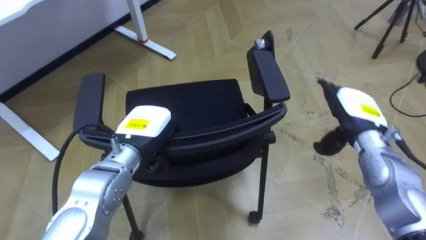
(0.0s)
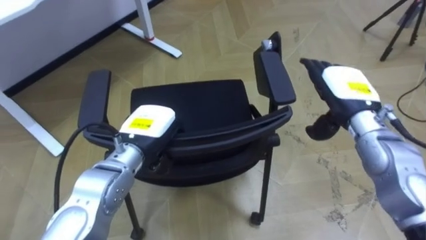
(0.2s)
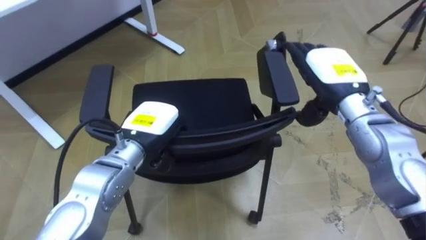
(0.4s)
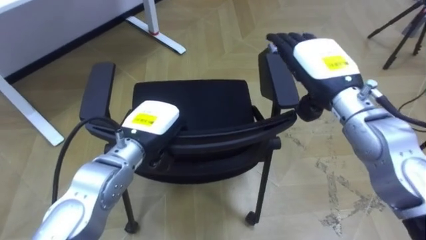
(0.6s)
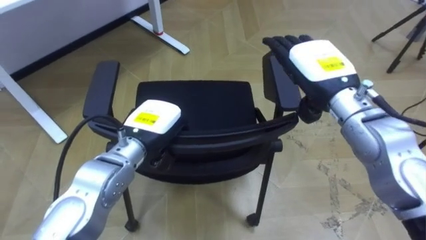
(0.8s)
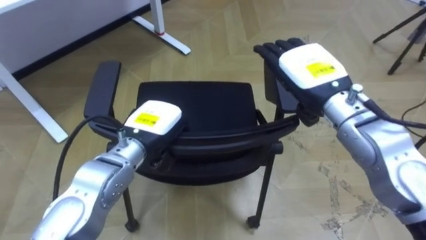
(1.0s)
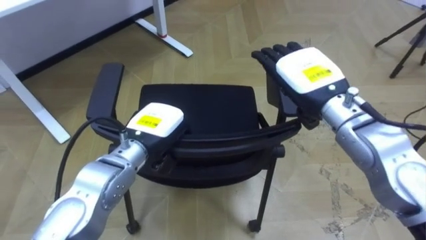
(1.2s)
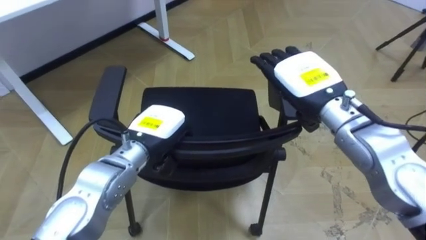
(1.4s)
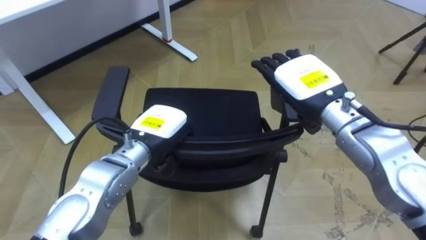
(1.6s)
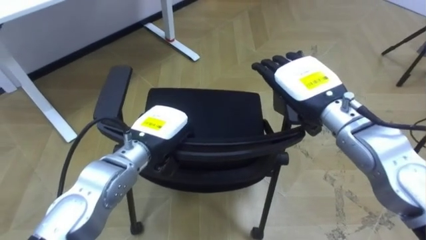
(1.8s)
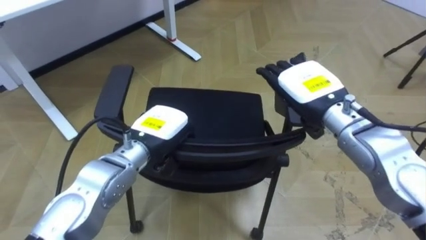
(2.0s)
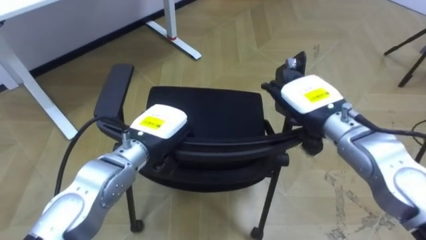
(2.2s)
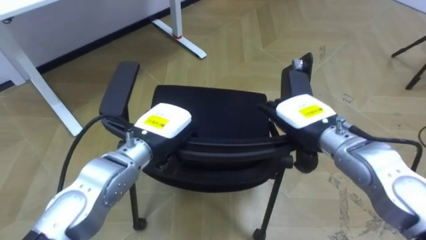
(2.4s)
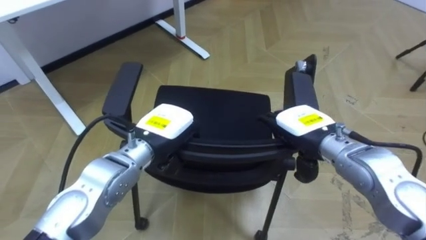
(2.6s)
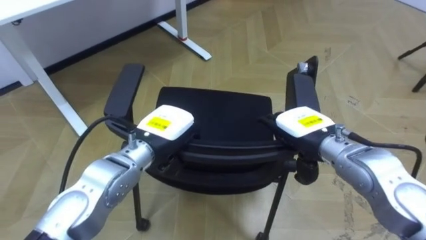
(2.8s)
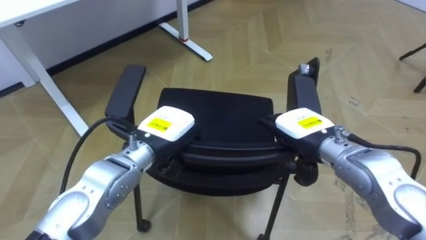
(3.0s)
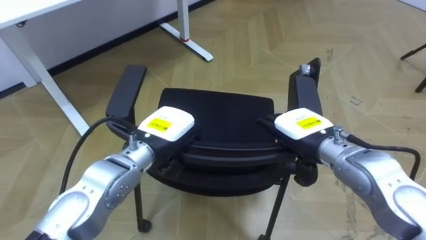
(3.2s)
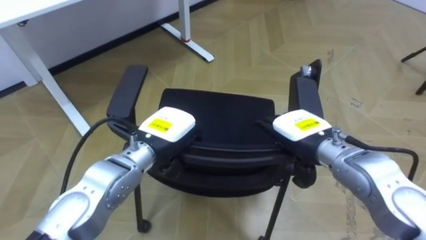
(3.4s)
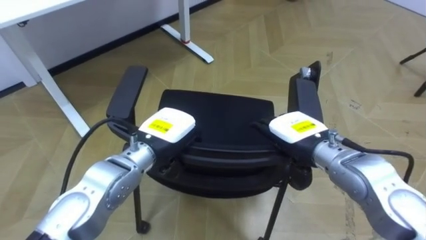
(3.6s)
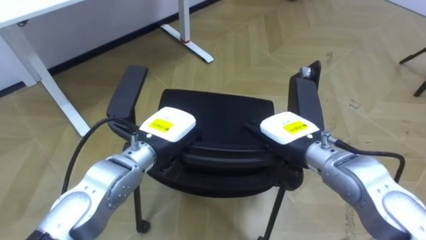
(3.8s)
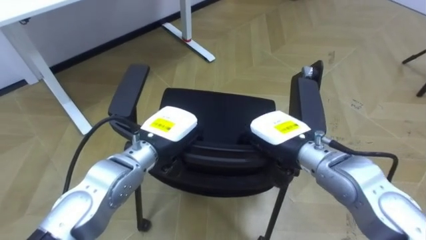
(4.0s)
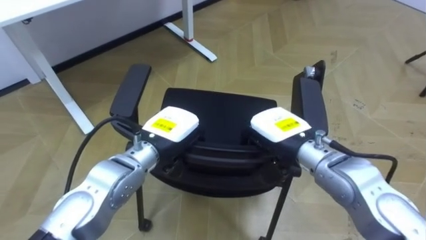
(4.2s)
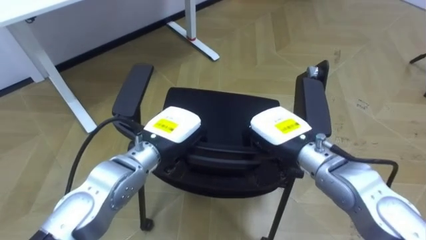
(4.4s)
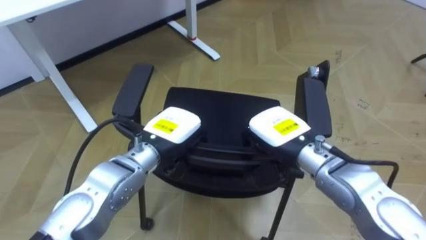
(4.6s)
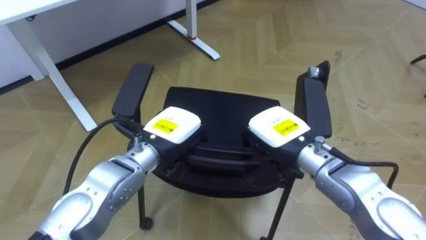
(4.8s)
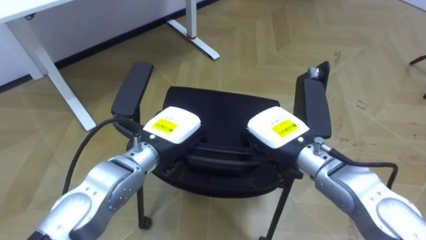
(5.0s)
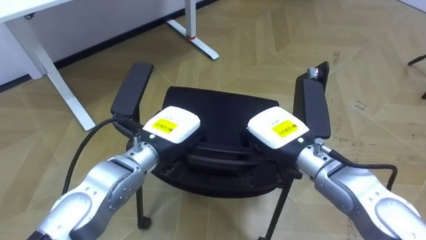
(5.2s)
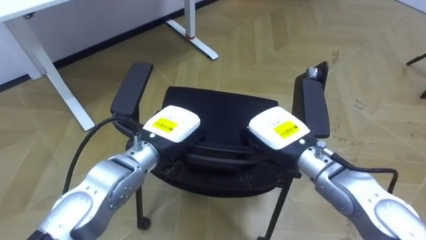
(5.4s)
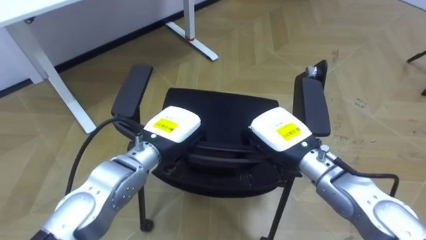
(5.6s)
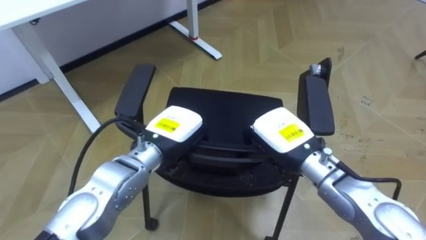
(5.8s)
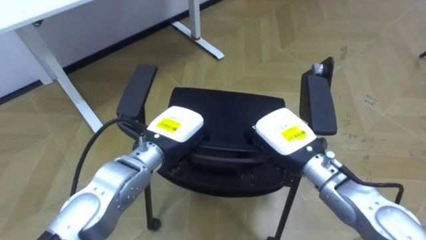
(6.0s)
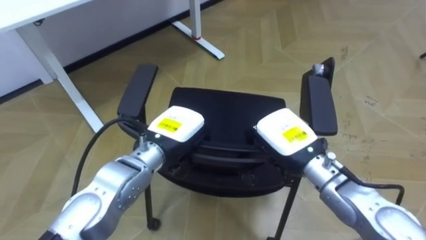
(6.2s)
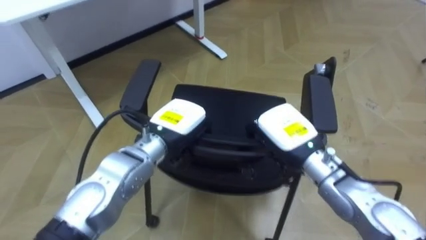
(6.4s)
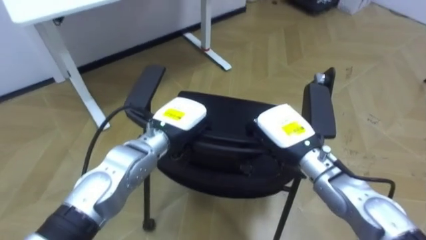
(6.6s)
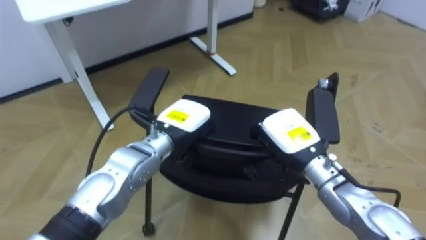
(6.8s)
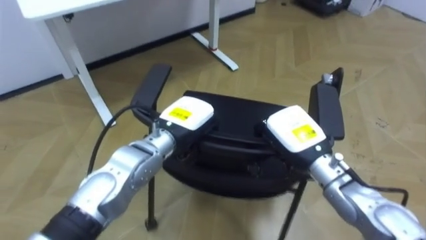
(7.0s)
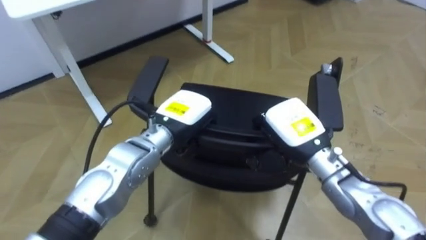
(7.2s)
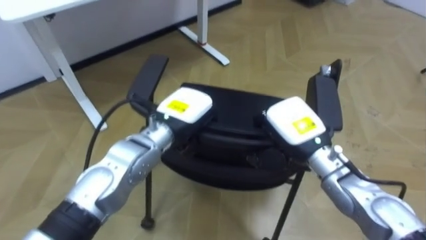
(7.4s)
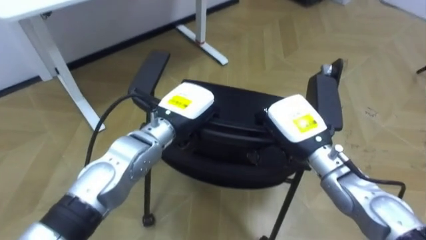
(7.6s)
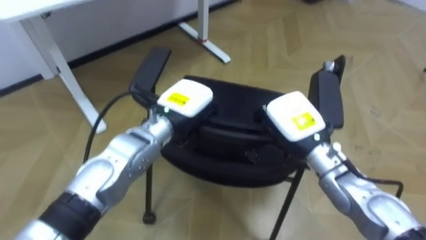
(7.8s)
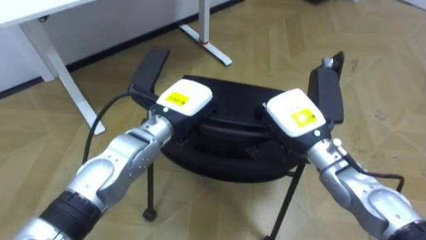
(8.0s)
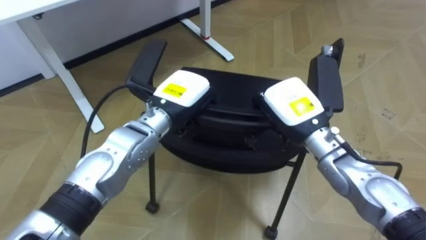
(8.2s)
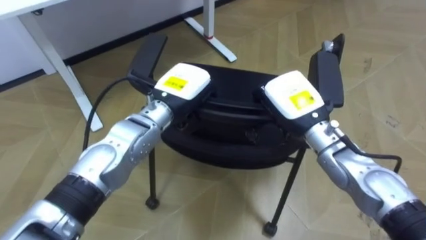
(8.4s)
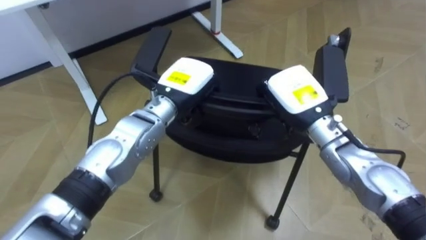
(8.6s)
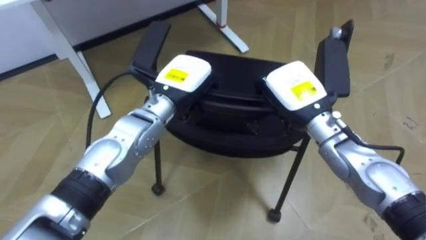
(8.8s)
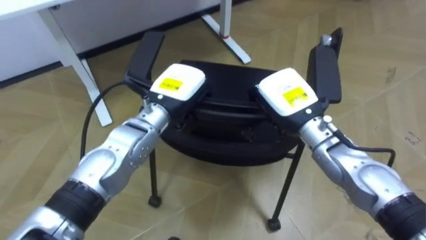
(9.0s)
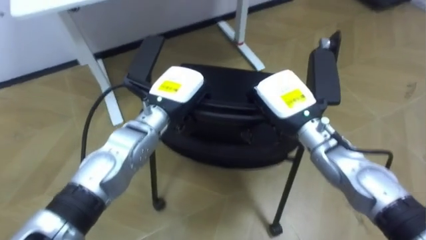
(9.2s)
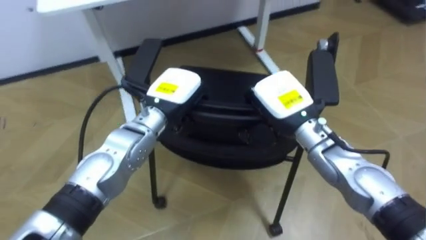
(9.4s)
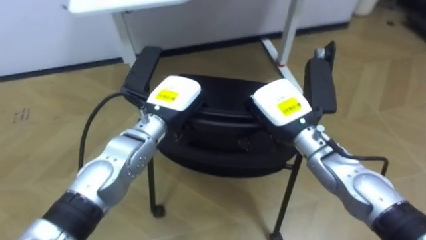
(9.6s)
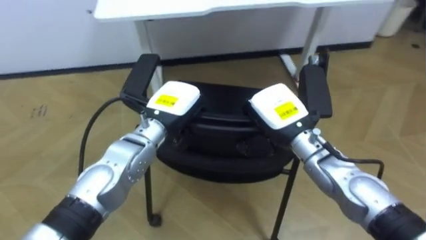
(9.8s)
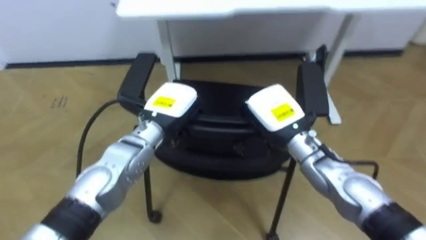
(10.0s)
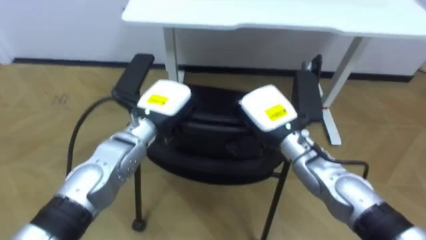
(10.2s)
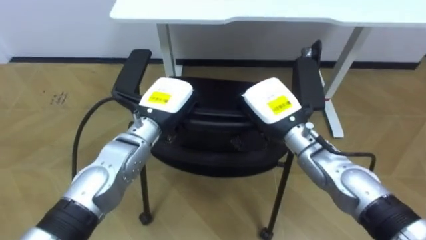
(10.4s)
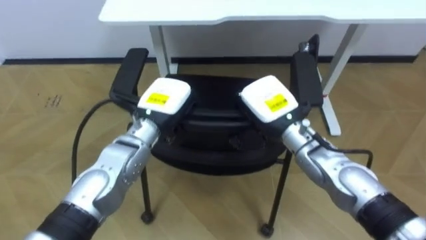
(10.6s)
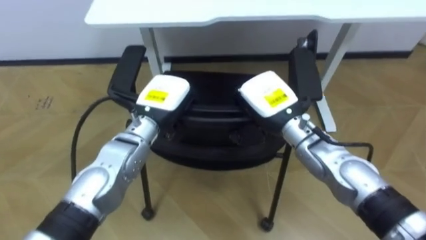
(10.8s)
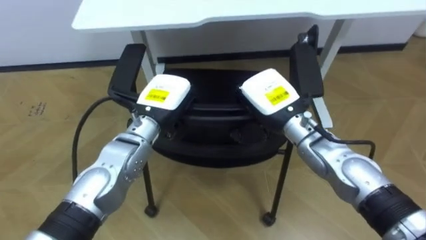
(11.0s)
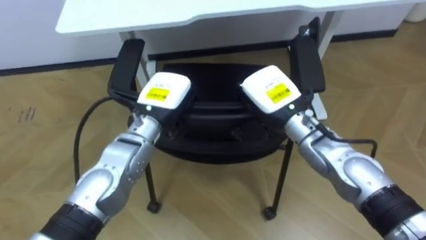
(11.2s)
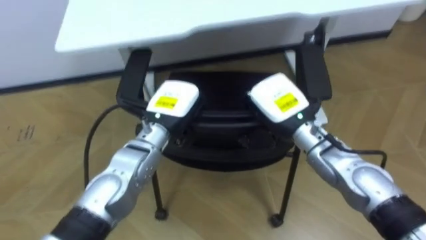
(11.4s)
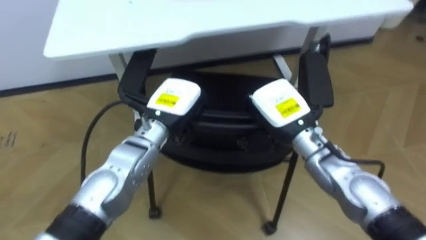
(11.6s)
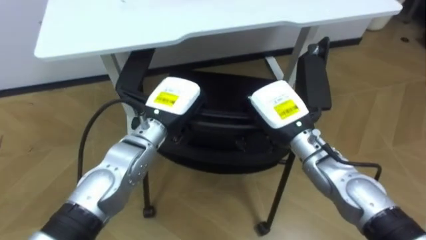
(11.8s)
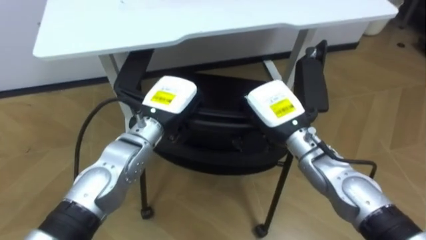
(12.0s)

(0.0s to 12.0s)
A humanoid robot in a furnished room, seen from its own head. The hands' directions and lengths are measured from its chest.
Task of the whole recording: Push the chair under the table.
0.0s - 1.6s: The right hand goes about 15 cm to the left and upward.
1.6s - 3.0s: The right hand shifts approximately 10 cm downward.
3.0s - 4.4s: The right hand moves roughly 5 cm, and closes.
7.6s - 9.0s: The right hand ends up roughly 5 cm from where it was.
9.0s - 10.4s: The robot turns to its left by about 25 degrees.

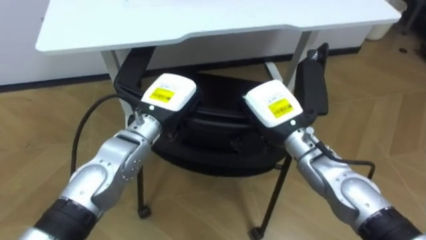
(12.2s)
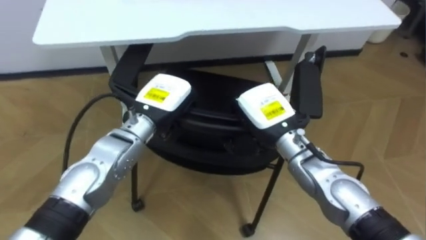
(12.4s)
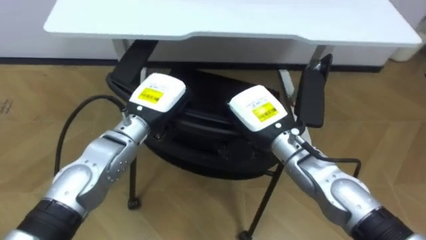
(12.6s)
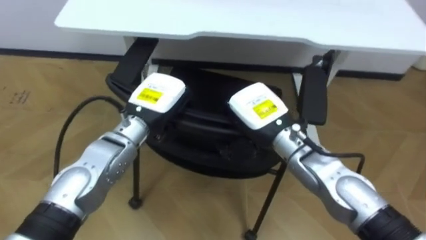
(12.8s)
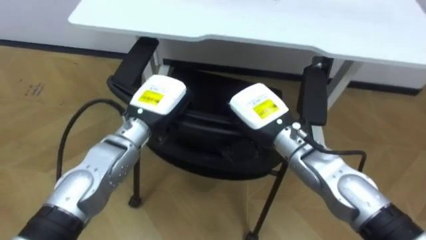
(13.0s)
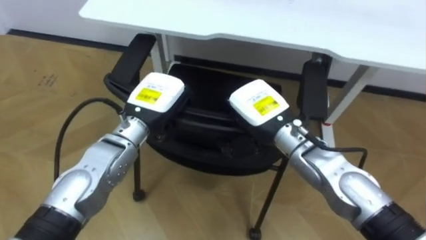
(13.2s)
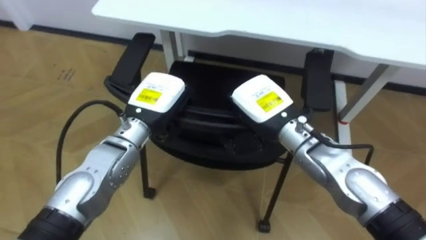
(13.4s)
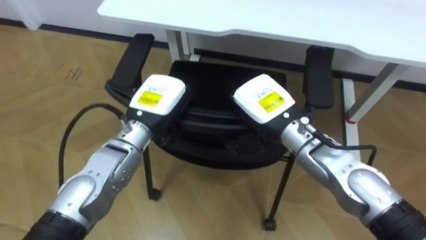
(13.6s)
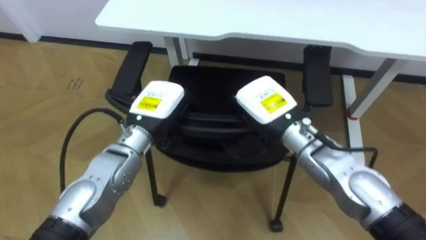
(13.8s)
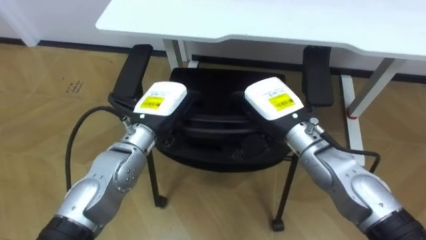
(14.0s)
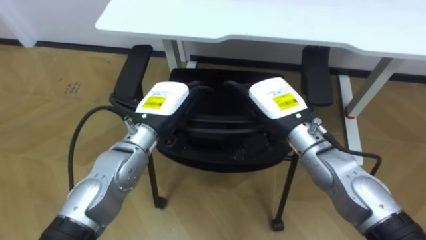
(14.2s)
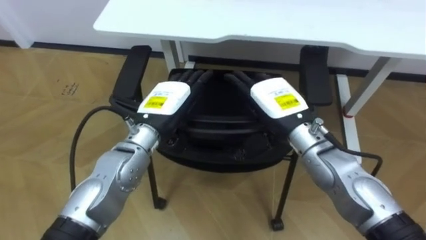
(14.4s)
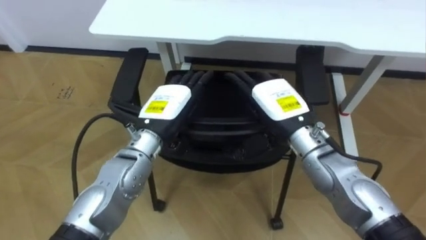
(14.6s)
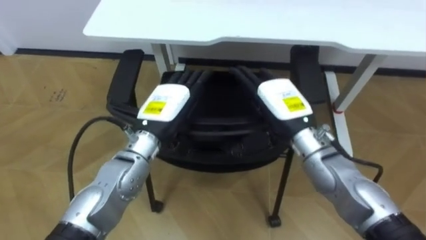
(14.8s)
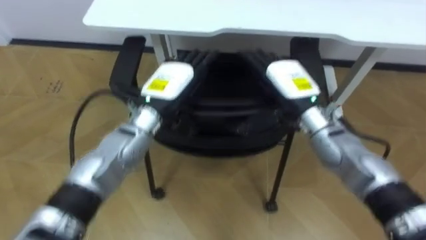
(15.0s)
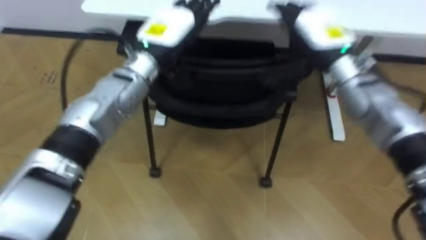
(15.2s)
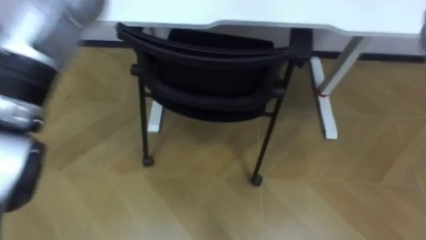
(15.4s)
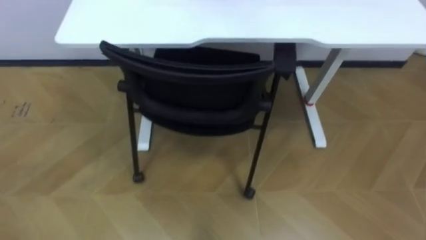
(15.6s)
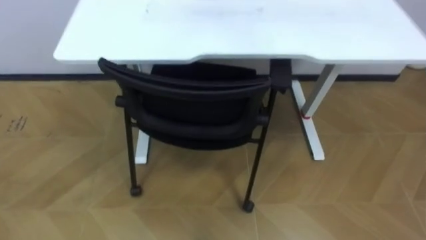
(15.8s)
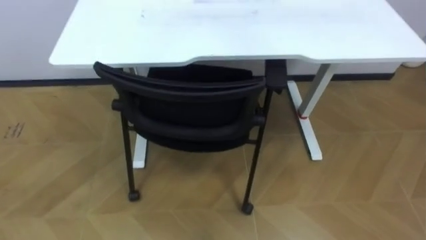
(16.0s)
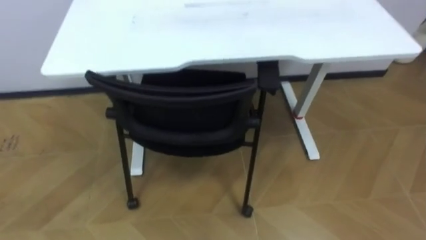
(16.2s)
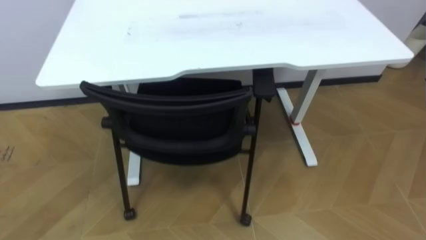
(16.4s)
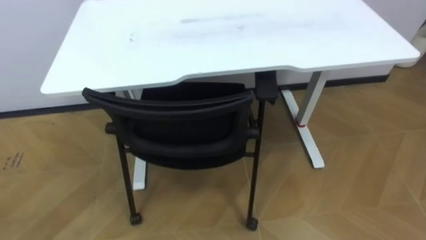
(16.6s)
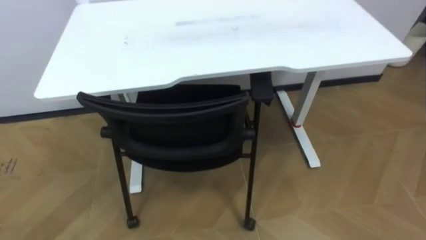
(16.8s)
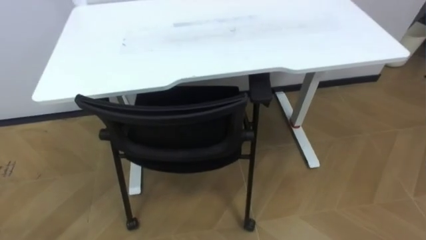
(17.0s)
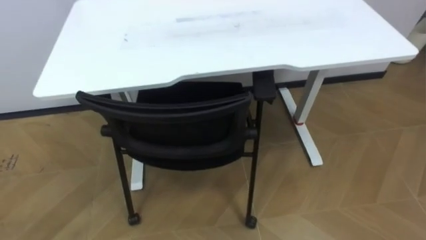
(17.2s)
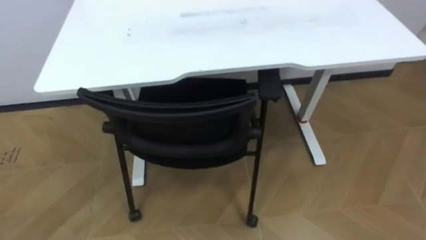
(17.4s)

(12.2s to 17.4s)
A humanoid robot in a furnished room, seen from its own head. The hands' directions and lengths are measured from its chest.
Task of the whole recording: Push the chair under the table.
12.2s - 14.0s: The robot rotates some 20 degrees to its left. The left hand opens up. Meanwhile the right hand opens.
